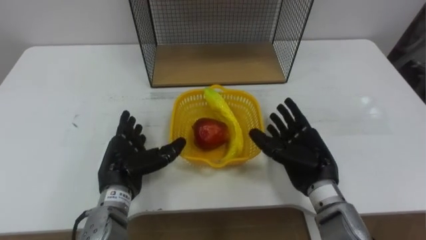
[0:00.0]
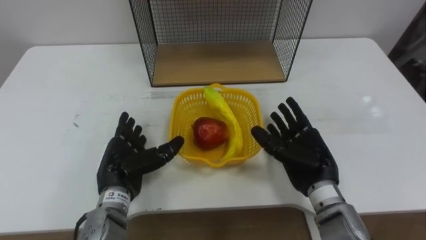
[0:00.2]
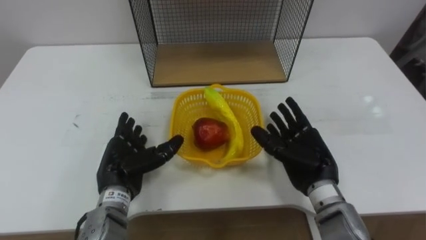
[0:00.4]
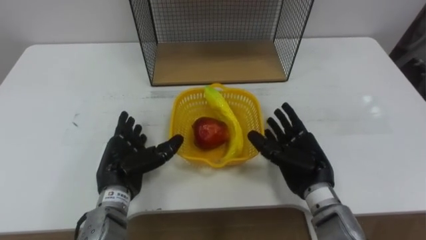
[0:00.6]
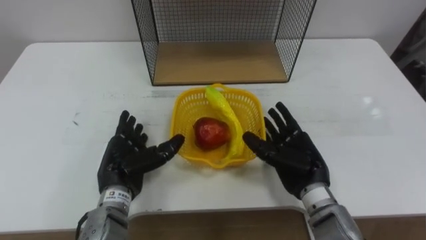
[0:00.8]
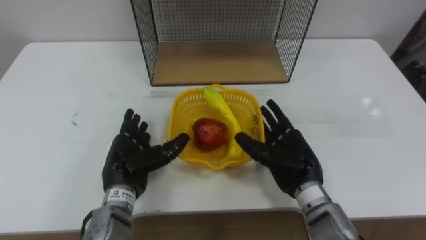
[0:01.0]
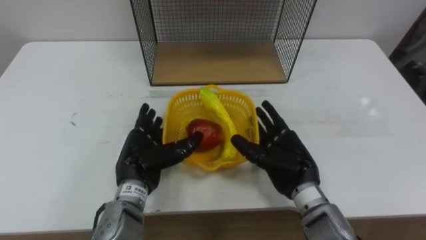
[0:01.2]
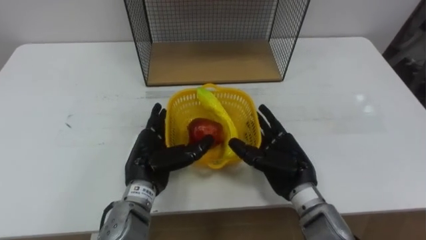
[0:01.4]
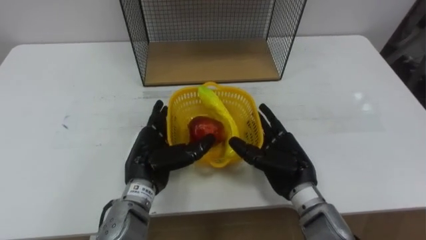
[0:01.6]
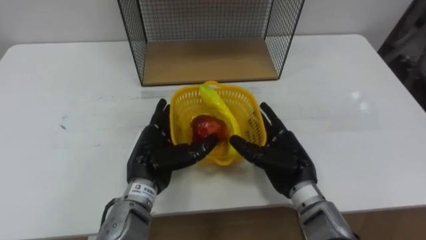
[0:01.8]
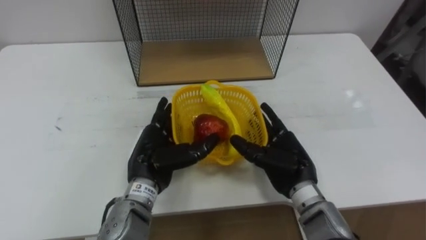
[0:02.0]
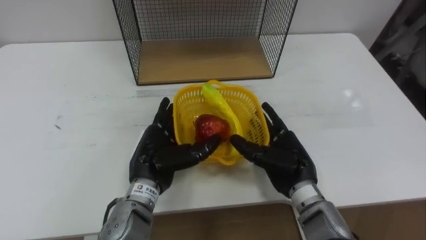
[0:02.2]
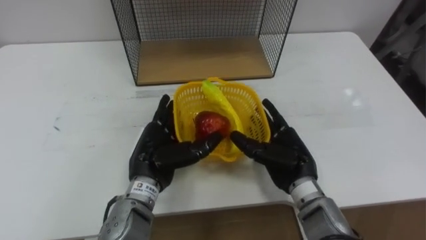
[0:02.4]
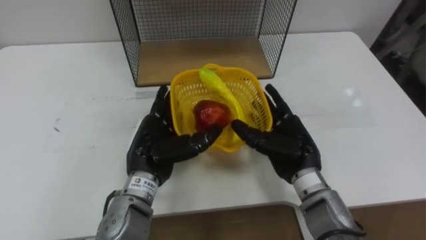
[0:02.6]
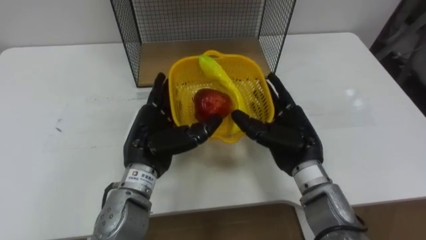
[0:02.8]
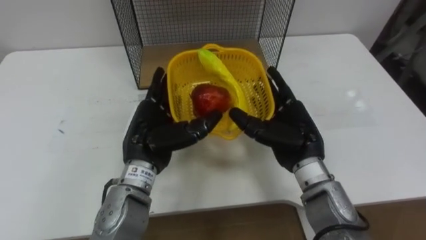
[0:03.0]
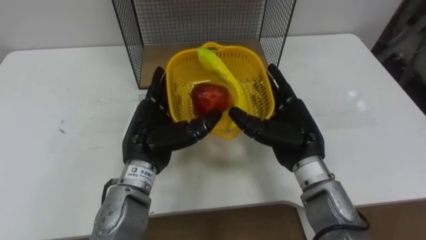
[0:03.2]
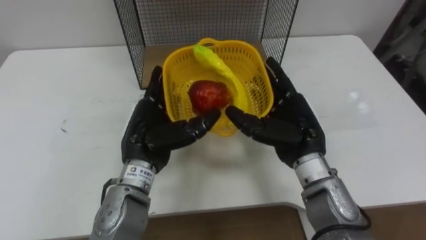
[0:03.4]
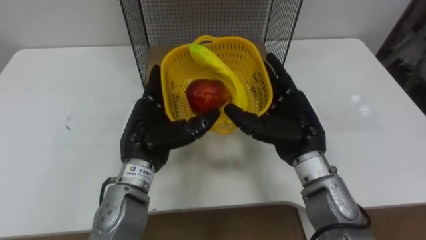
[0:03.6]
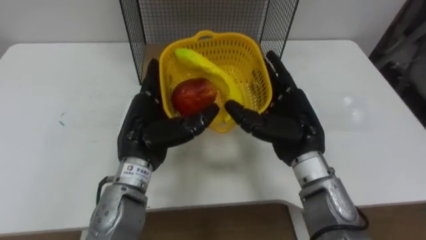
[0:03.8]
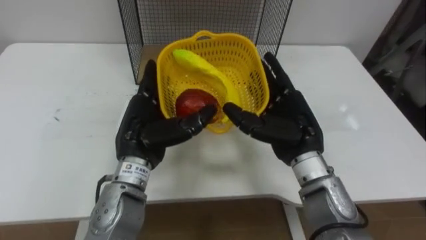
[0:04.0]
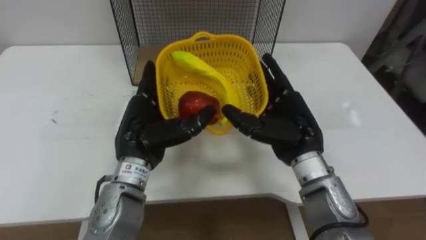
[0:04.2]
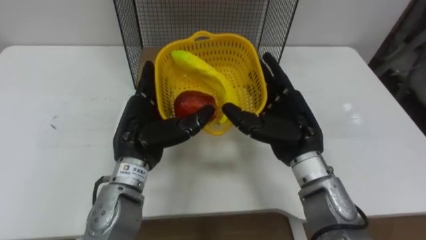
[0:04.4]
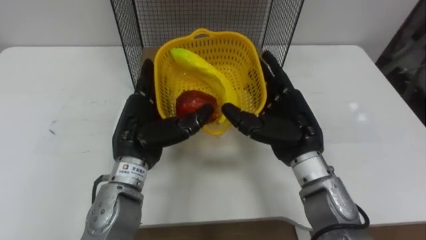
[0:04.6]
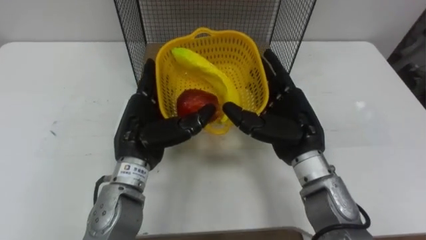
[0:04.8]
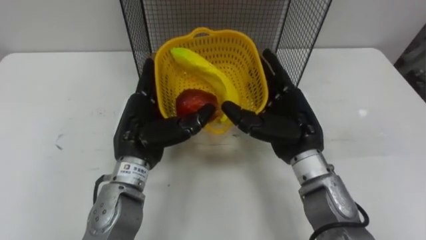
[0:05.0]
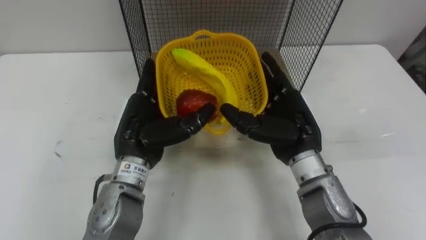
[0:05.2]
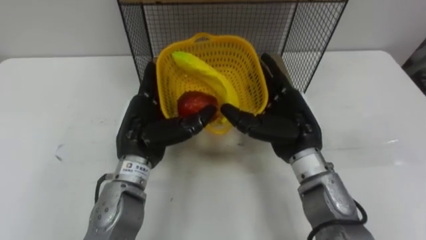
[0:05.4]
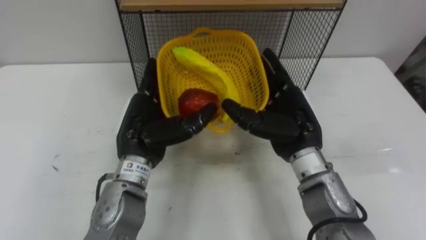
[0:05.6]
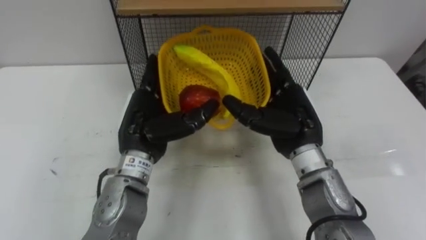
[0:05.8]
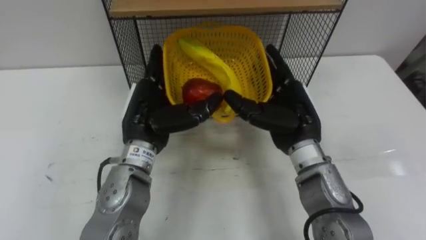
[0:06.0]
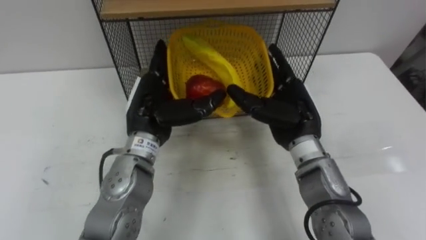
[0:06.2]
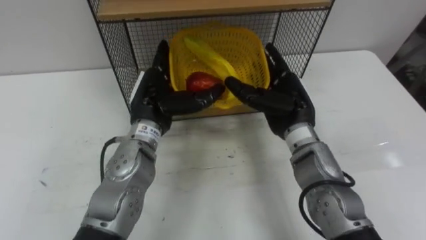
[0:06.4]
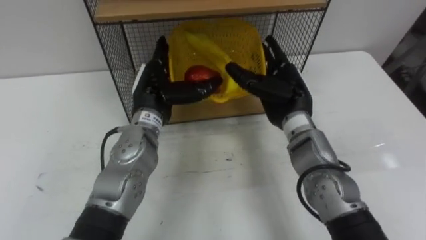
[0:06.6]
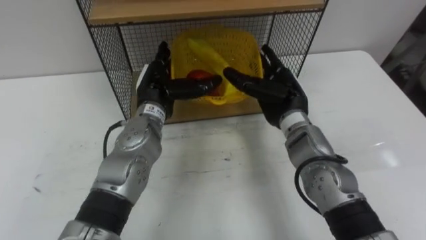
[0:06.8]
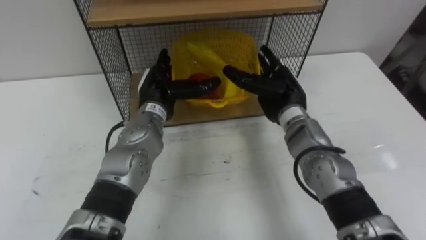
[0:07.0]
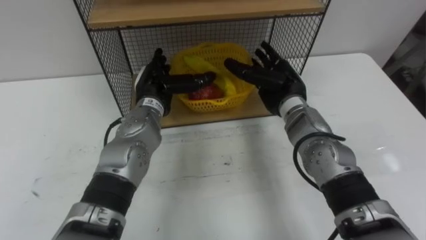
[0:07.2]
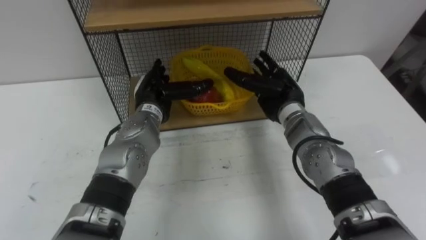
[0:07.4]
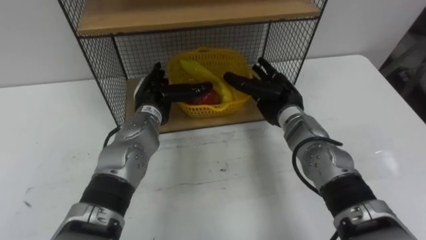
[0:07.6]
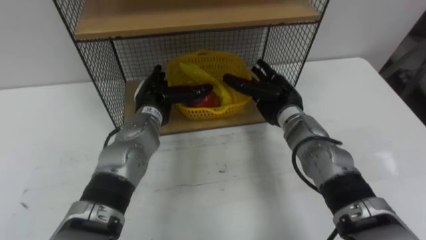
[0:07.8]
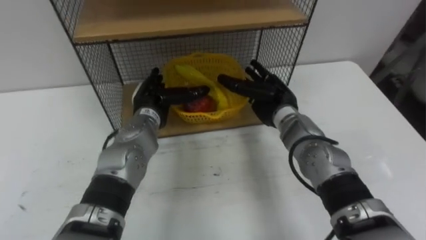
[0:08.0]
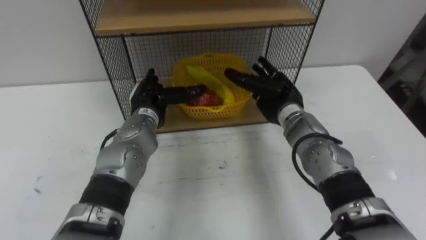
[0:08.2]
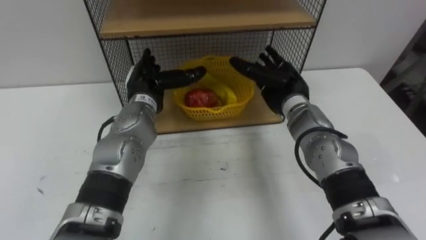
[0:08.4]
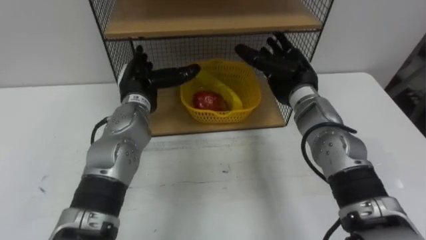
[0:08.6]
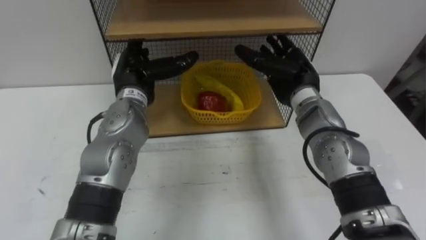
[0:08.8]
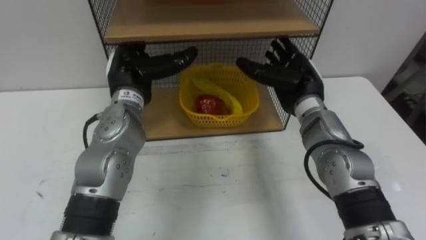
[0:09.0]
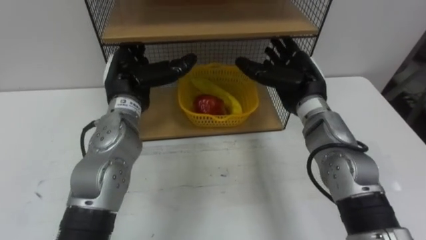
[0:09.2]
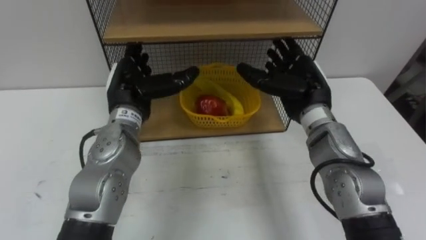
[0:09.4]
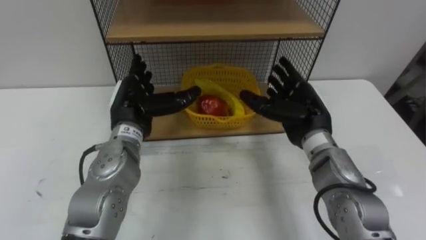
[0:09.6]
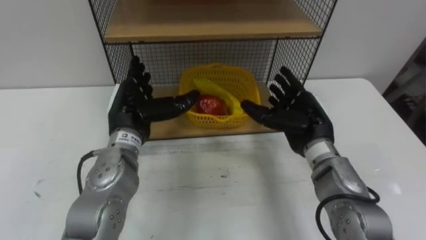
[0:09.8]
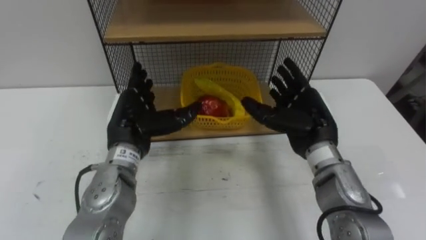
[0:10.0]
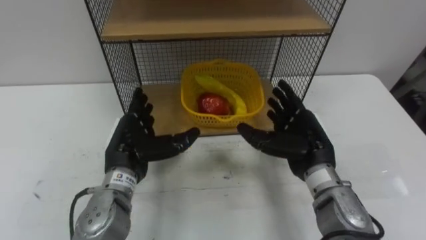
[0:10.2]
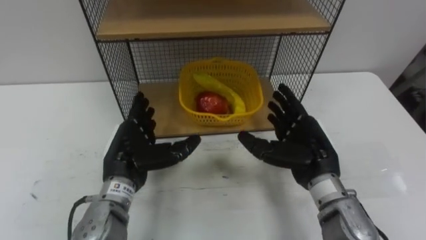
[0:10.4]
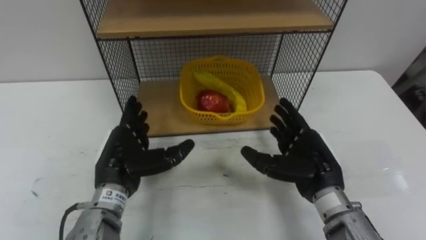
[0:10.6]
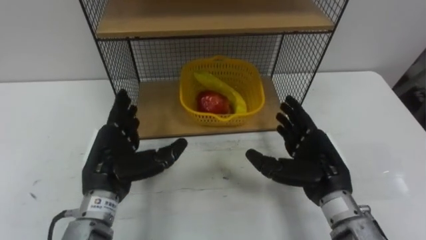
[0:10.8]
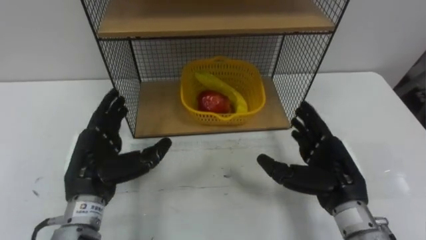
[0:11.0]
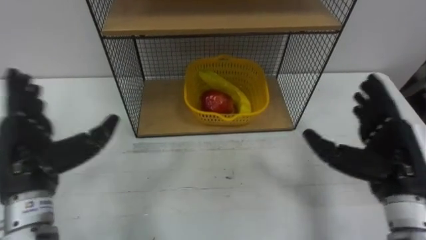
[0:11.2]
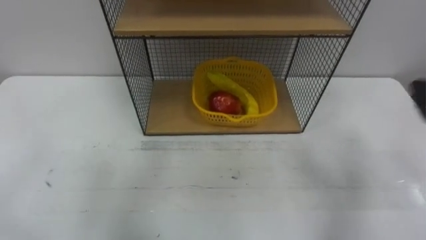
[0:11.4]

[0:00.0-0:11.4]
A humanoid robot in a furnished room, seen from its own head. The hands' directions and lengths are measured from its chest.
Task of the whole recording: Put the fruit on the table into the basket, then place the basket on the shelf.
0:00.0 to 0:01.4: The left hand heads to the right, covering some 5 cm.
0:01.4 to 0:02.8: The right hand moves roughly 5 cm. Meanwhile the left hand travels upward by some 5 cm.
0:05.6 to 0:07.2: The two hands go some 10 cm forward.
0:08.6 to 0:10.0: Both hands travel together backward, some 10 cm.

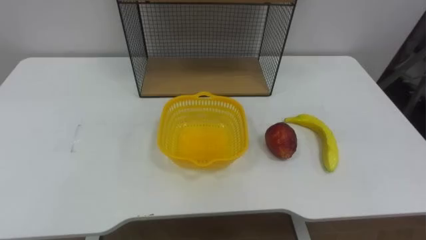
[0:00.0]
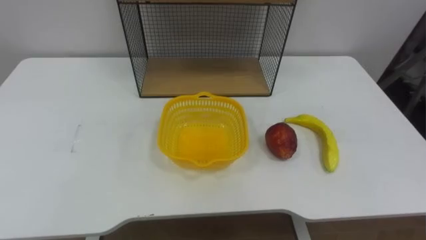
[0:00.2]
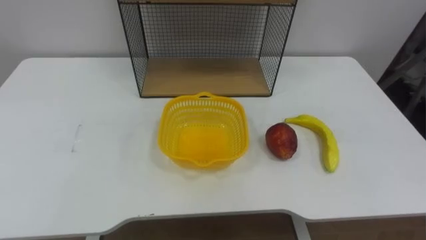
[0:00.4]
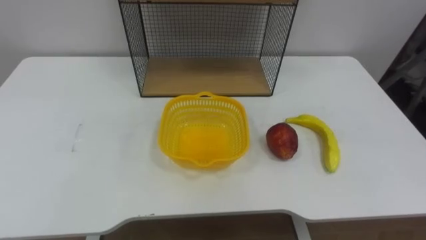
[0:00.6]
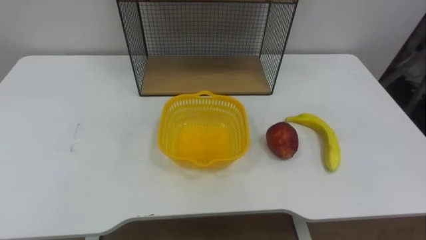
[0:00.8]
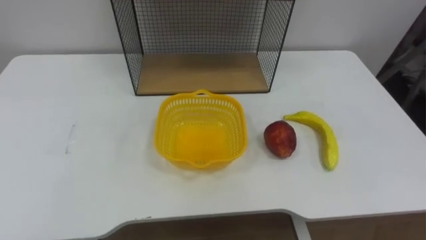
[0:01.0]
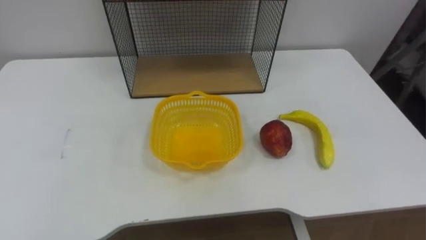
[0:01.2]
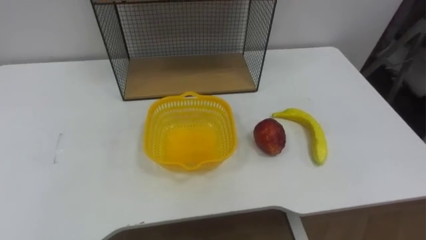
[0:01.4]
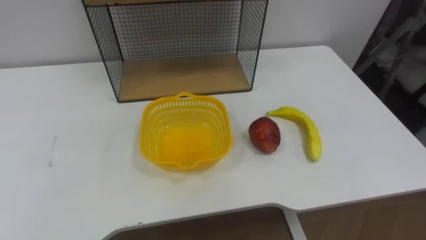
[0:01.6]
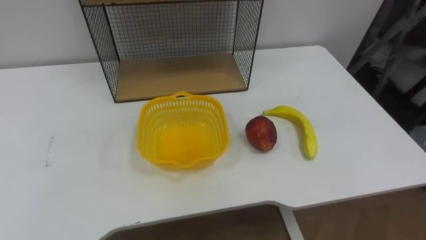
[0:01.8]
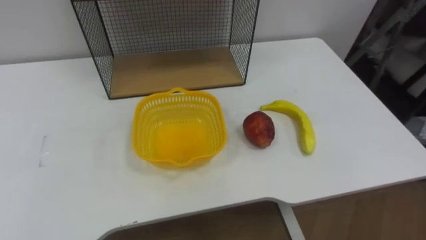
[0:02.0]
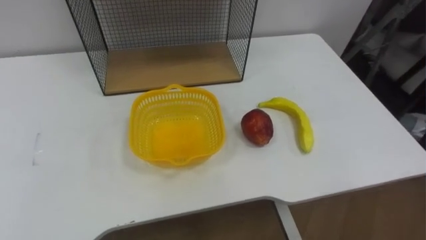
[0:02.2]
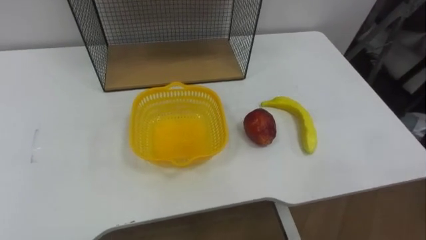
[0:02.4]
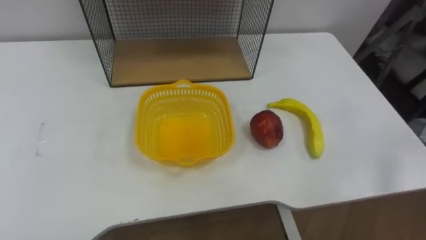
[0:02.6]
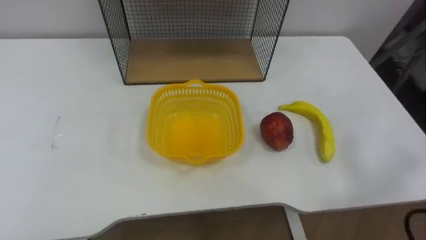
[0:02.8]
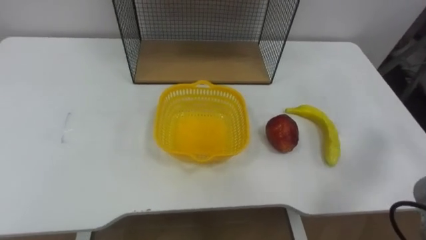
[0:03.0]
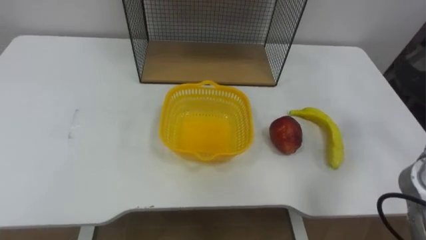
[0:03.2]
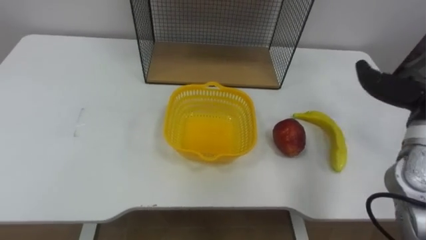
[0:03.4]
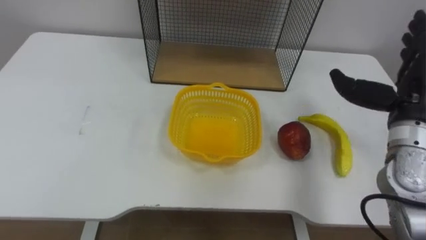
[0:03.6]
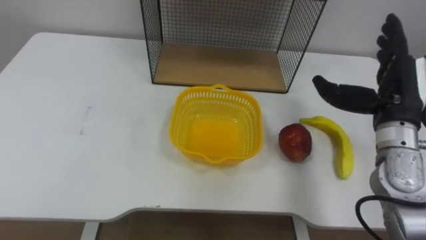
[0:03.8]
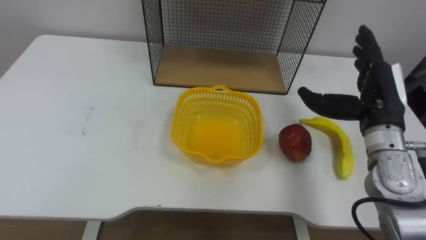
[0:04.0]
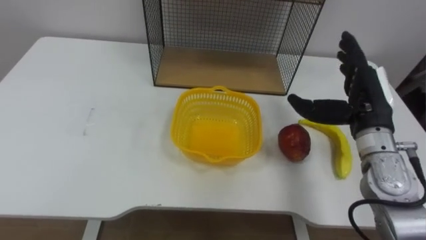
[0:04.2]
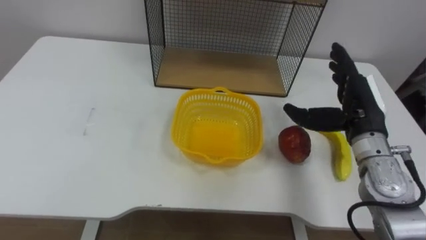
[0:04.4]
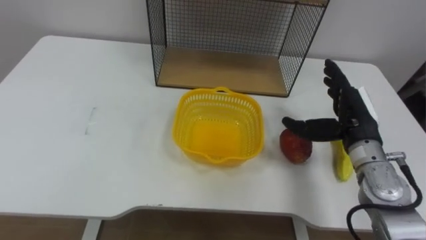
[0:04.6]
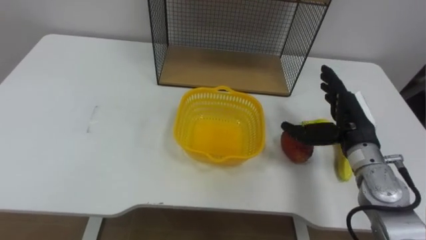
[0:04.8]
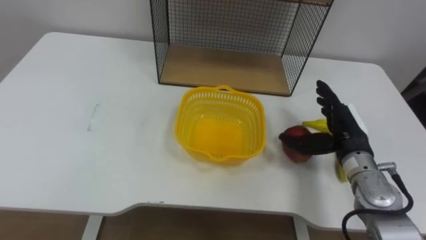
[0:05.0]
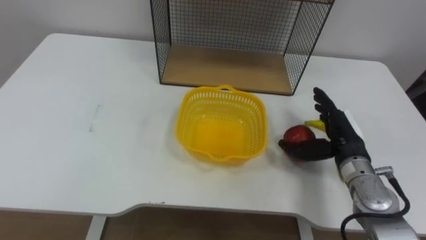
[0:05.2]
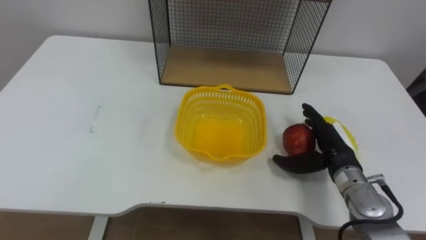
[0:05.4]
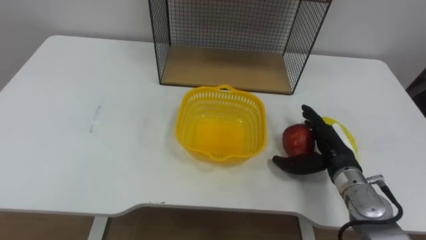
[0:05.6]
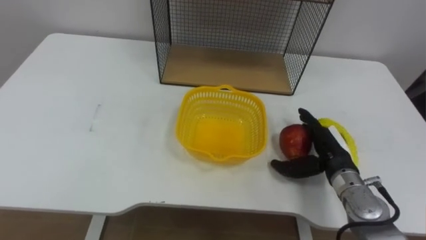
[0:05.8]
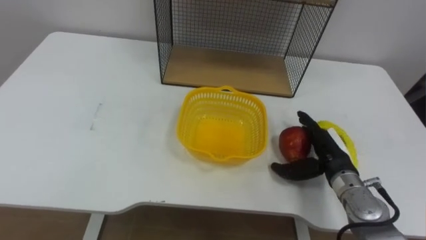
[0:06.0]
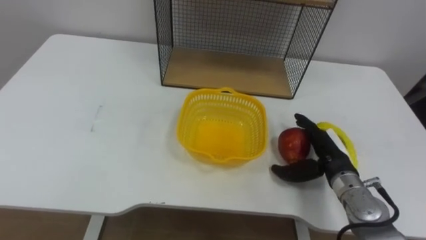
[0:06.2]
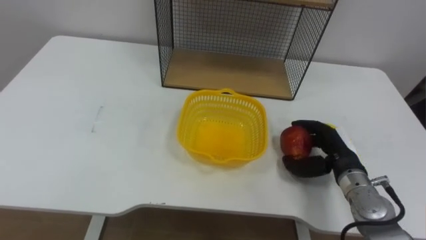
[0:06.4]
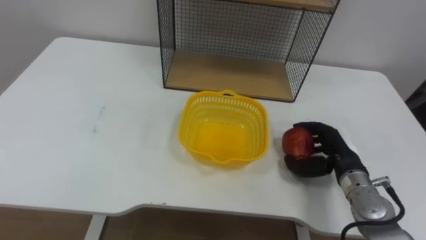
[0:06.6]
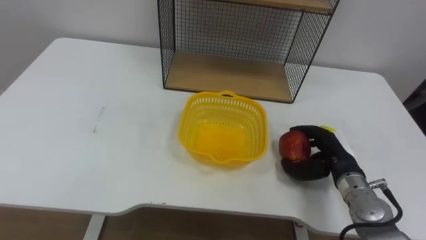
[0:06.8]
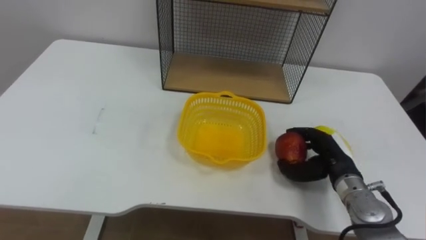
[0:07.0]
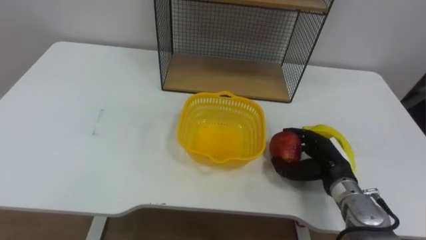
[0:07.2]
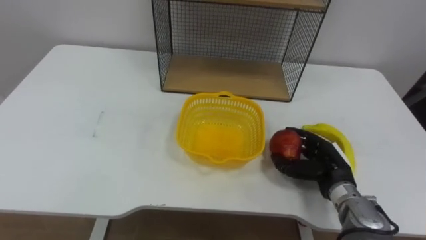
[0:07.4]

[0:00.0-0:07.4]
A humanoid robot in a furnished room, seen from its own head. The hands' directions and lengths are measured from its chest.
Task of the whole recording: Put the fruit on the table into the basket, then place the basket on the shelf.
0:04.4 to 0:06.0: The right hand heads downward, covering some 10 cm.
0:06.0 to 0:07.4: The right hand closes up.
